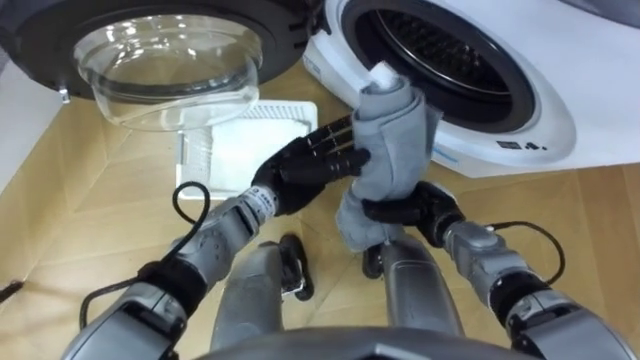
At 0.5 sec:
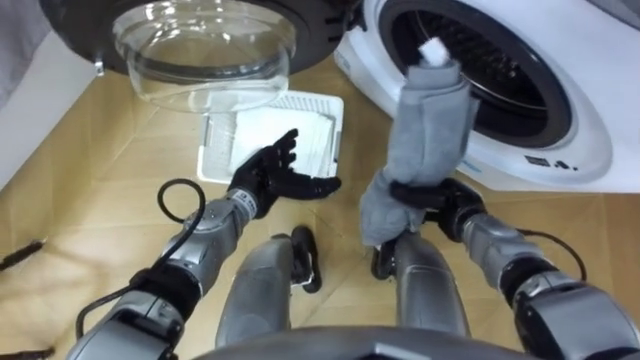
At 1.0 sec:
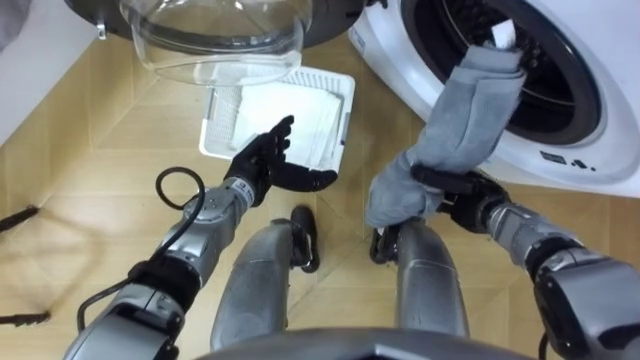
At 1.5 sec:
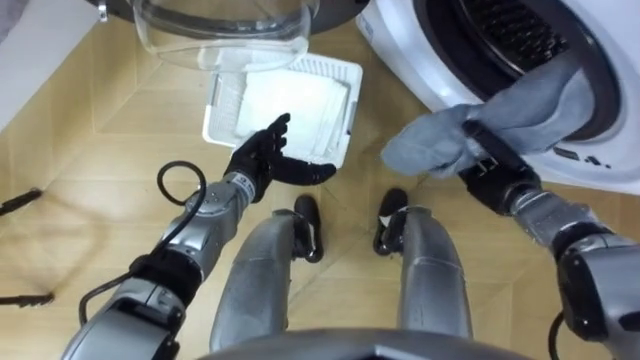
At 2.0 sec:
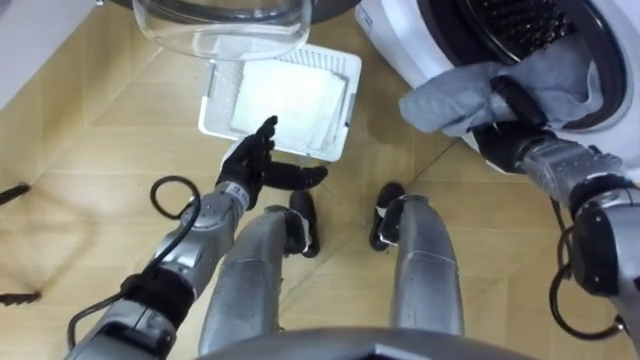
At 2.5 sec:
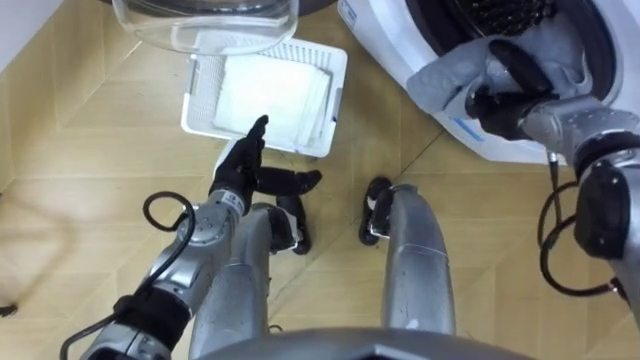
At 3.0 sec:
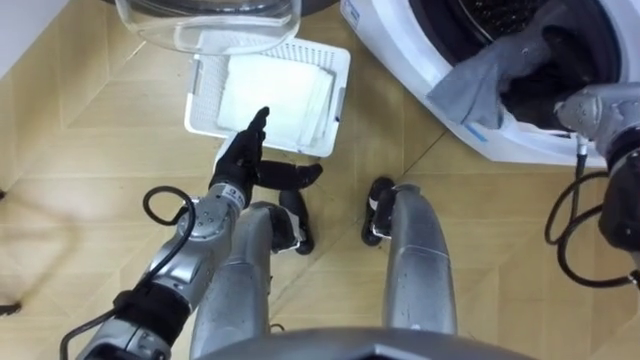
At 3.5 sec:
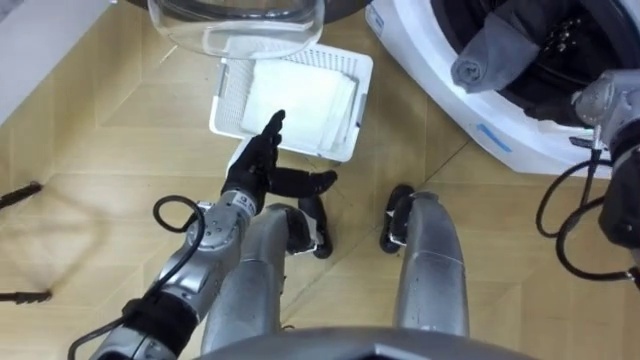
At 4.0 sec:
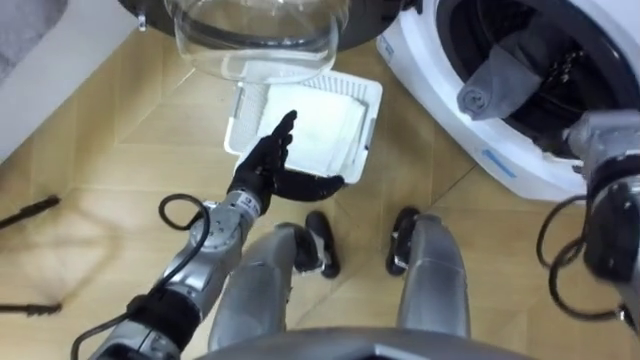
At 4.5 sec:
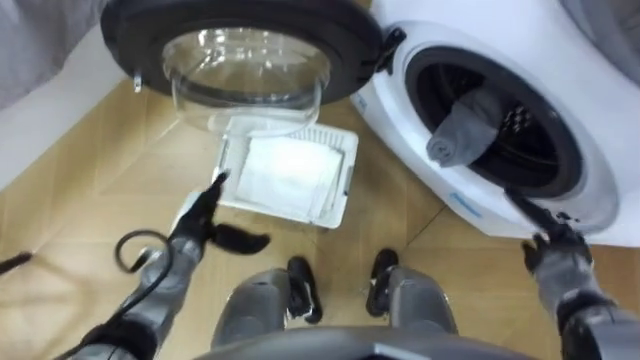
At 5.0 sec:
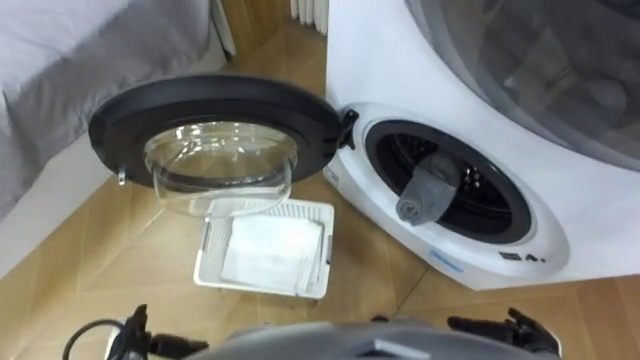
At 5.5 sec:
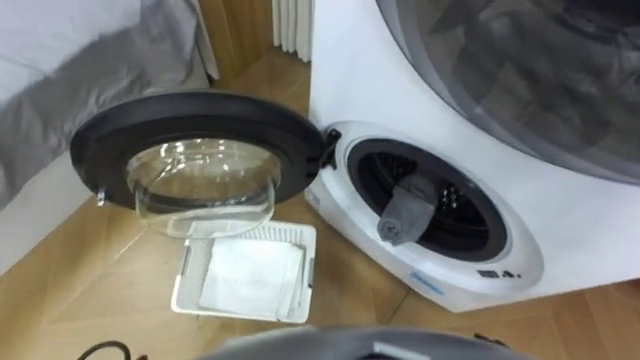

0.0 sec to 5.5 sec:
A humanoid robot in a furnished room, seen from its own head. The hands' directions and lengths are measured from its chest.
Task of the whole recording: Take the towel from the basket and put it into the washing machine.
0.0 sec to 2.0 sec: The left hand is displaced to the left by roughly 5 cm, and opens its fingers. The right hand is displaced to the right, forward and upward by approximately 15 cm.
2.0 sec to 3.5 sec: The right hand goes some 10 cm upward and to the right, and opens its fingers.

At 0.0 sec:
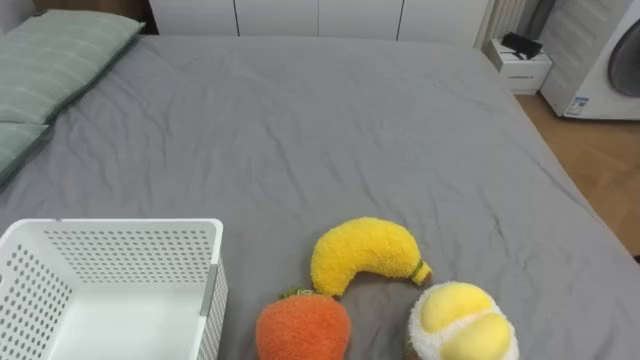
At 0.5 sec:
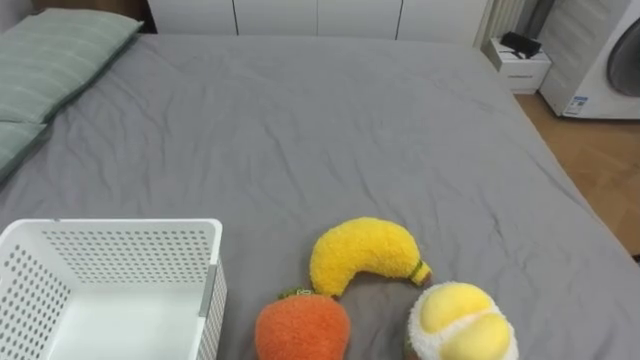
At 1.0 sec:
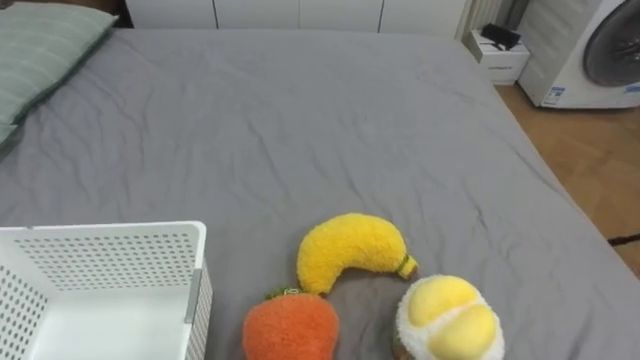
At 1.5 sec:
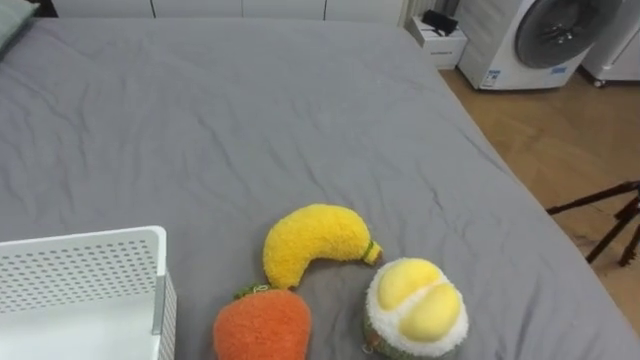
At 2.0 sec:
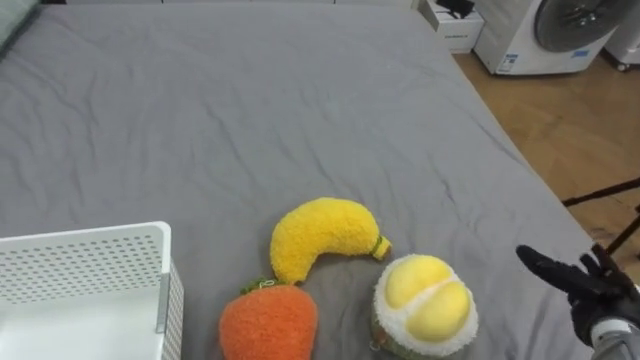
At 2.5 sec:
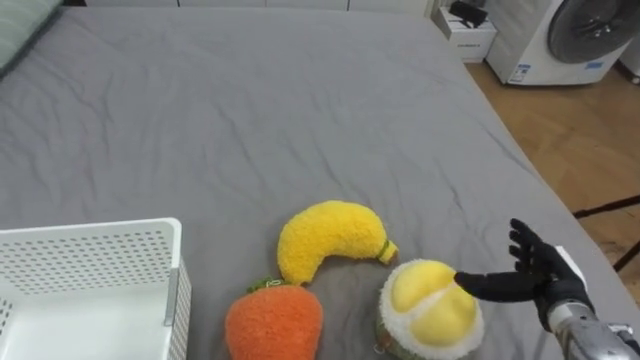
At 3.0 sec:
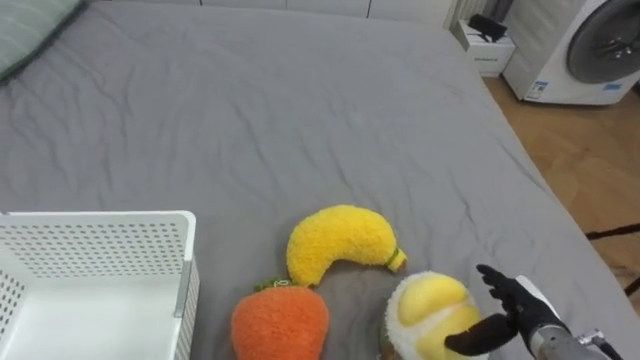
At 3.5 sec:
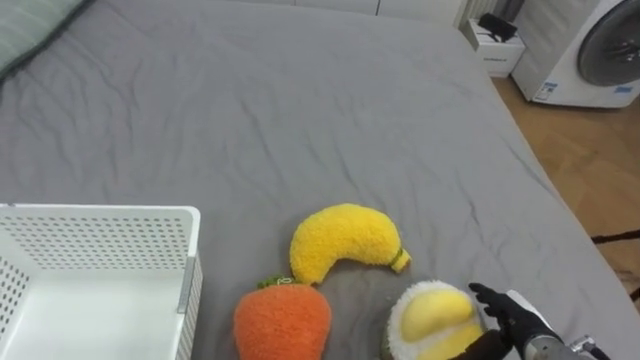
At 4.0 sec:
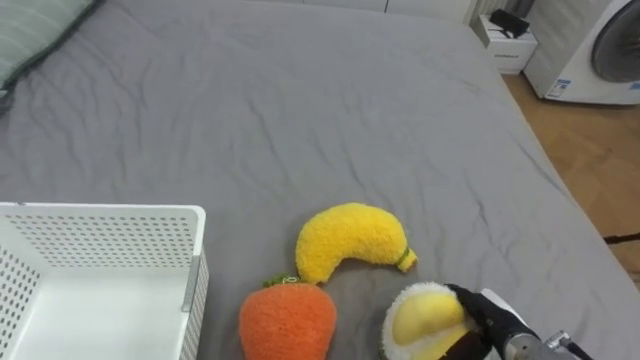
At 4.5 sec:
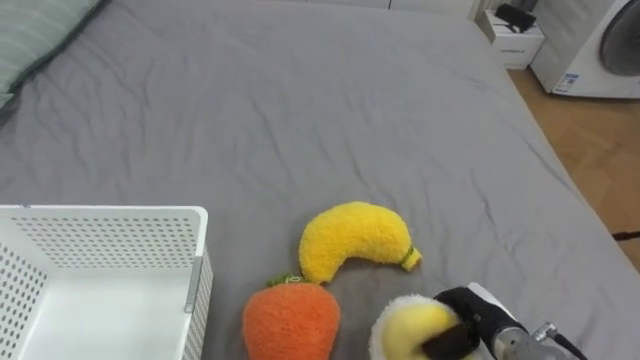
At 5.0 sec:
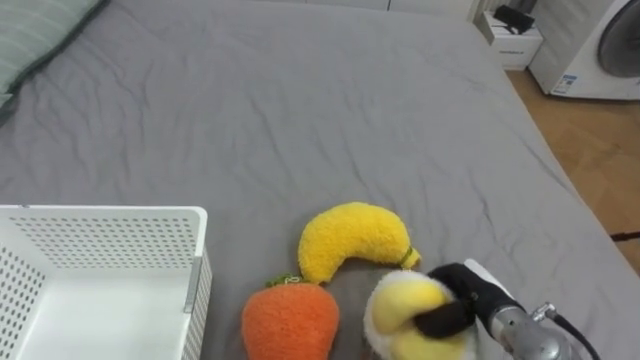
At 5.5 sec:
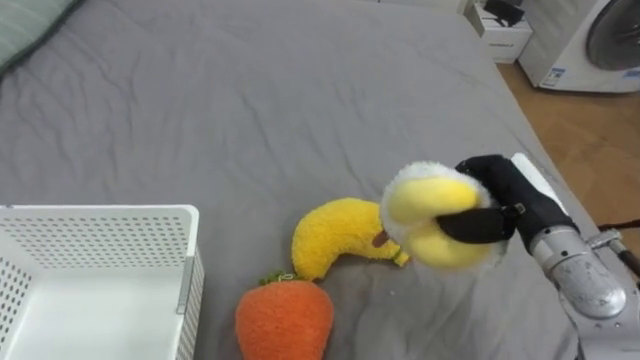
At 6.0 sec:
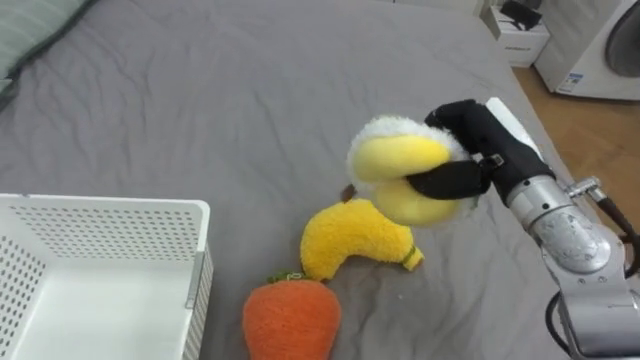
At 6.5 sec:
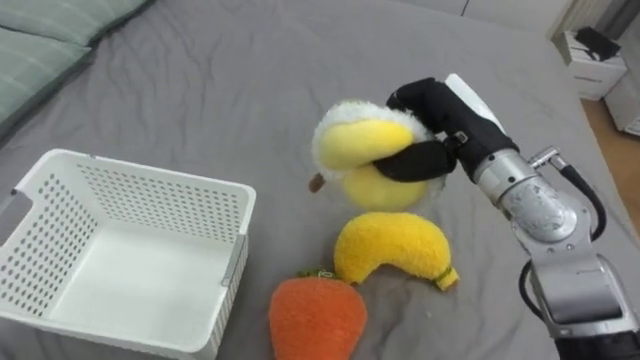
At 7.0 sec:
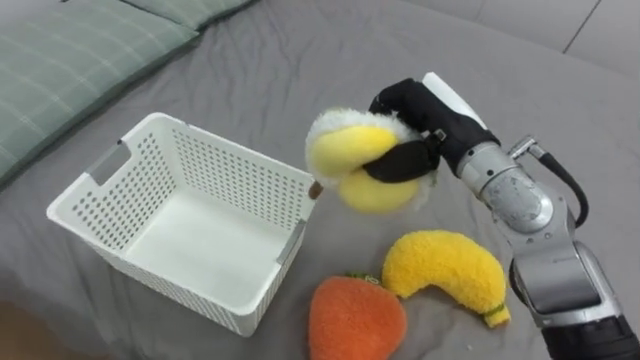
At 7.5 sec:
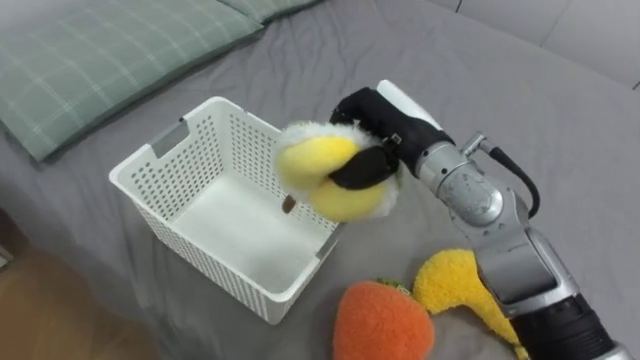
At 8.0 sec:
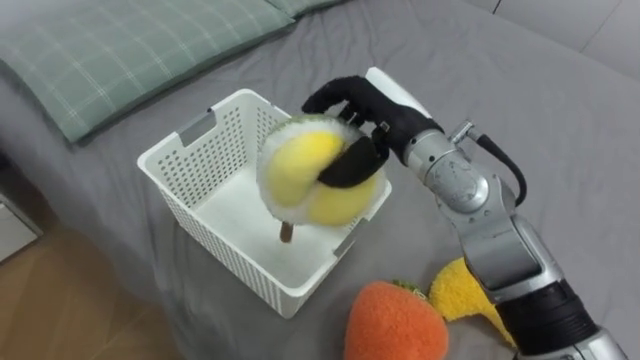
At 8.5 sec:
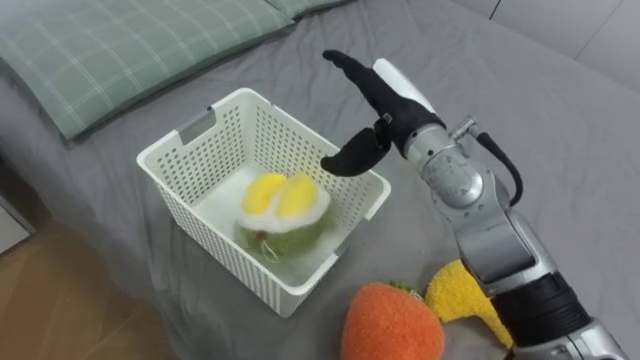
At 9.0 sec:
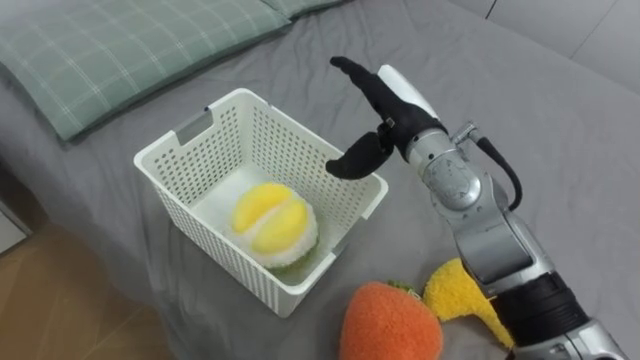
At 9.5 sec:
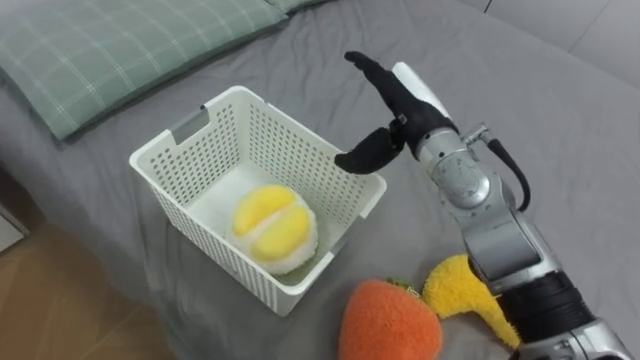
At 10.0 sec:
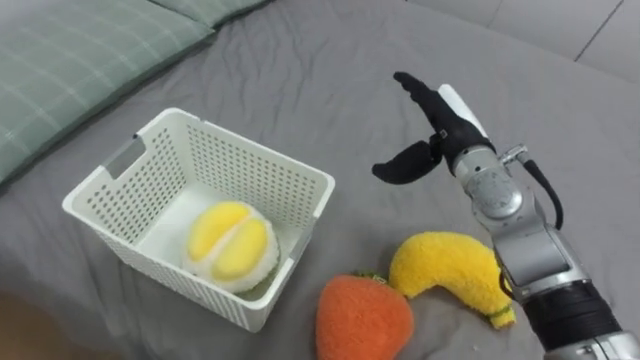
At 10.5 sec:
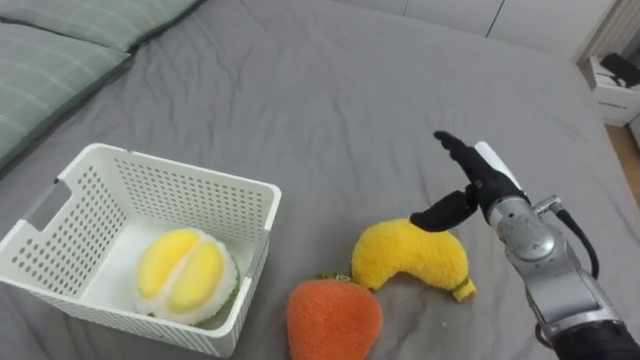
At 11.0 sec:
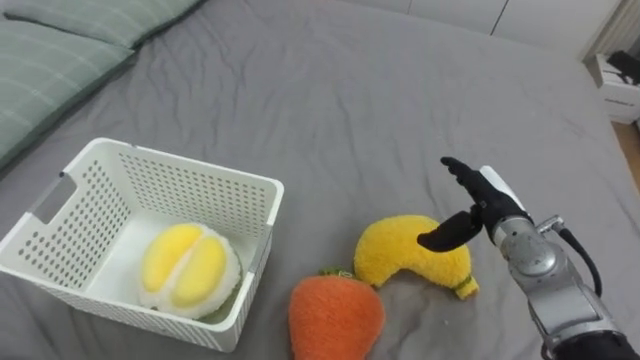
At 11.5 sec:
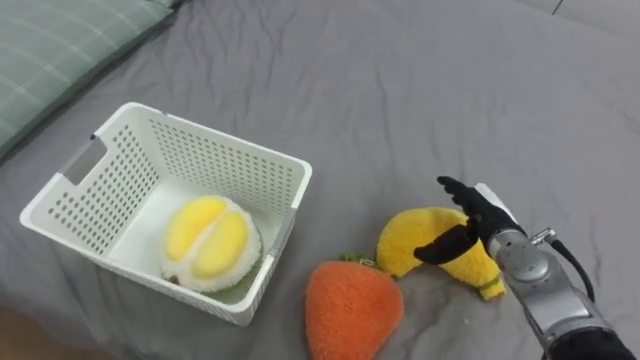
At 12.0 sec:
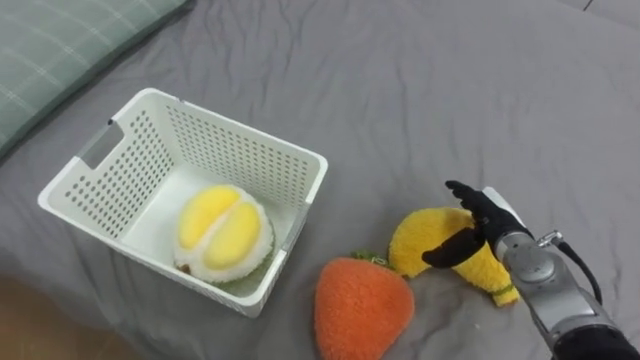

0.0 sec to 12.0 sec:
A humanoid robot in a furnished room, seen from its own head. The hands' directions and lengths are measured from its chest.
Task of the whole recording: Put the toys on the bed into the basket on the left.
2.0 sec to 4.0 sec: The right hand shifts roughly 15 cm to the left and downward.
4.0 sec to 6.0 sec: The right hand is displaced upward and forward by roughly 25 cm, and closes.
6.0 sec to 8.0 sec: The right hand is displaced to the left by roughly 10 cm, and opens its fingers.
8.0 sec to 10.0 sec: The right hand shifts roughly 10 cm to the right, and opens.
10.0 sec to 12.0 sec: The right hand shifts some 15 cm downward, to the right and backward.

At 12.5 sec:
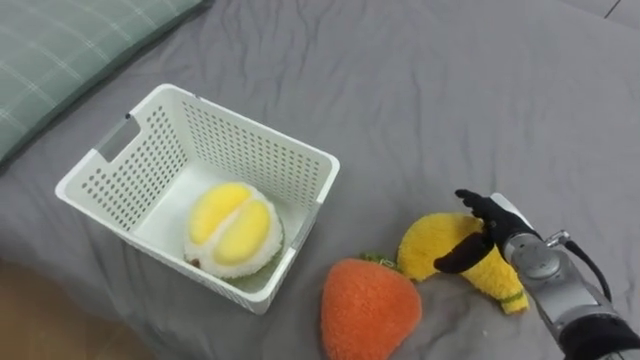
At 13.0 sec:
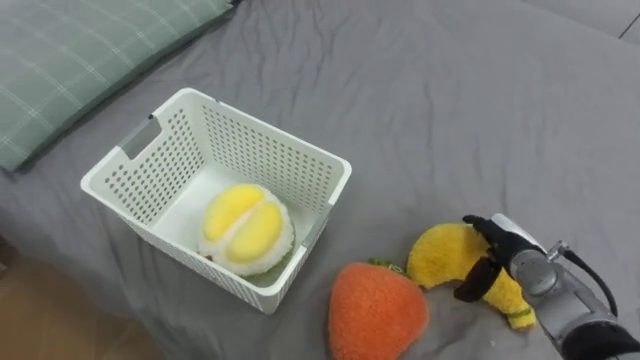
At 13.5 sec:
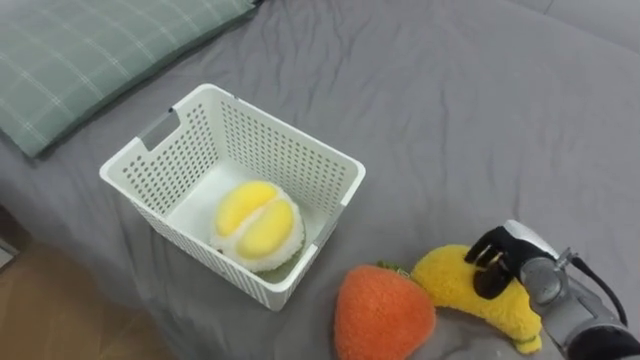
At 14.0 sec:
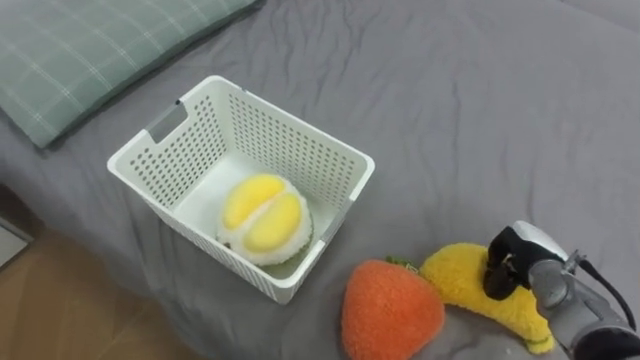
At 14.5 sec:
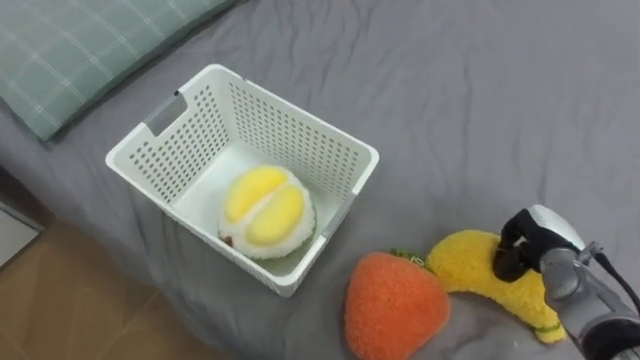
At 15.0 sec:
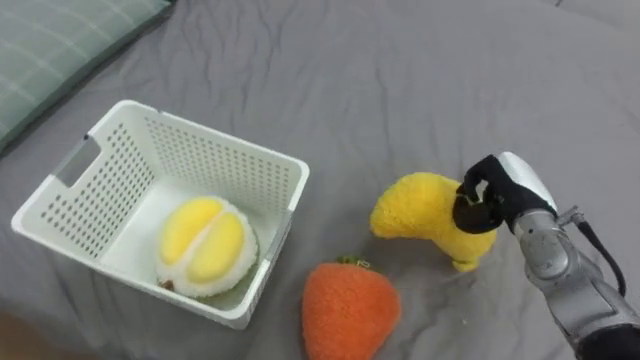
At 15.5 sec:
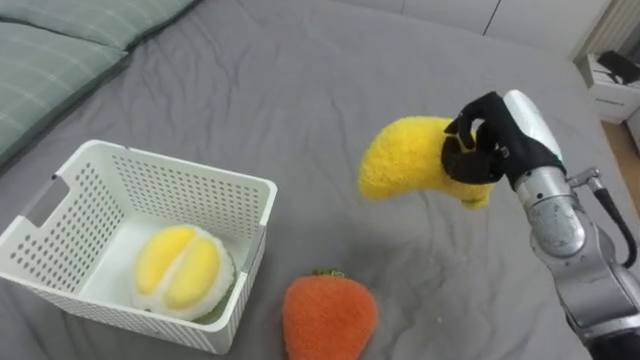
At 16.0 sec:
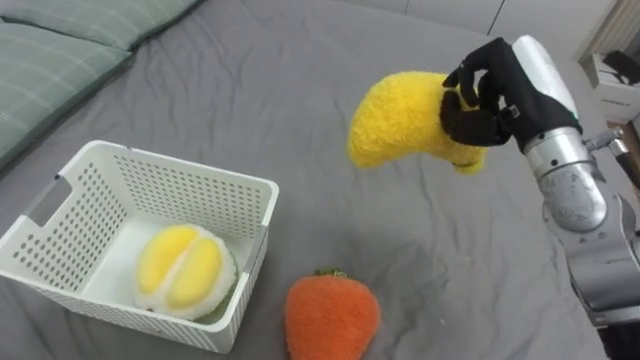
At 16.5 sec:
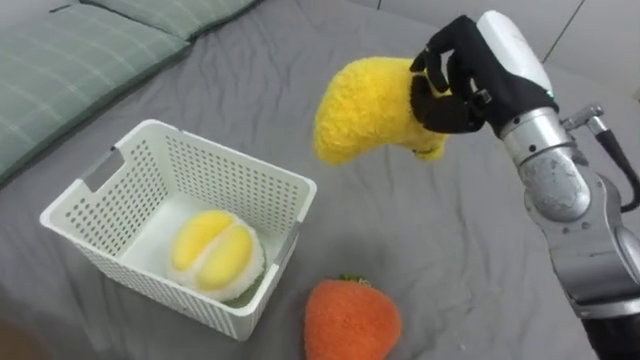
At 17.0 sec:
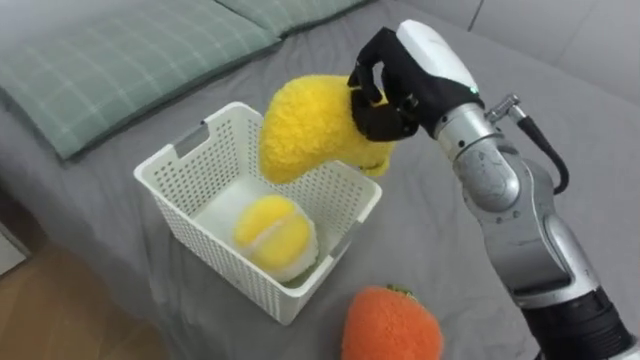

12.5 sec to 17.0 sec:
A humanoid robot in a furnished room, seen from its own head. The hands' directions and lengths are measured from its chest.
Task of the whole recording: Put the toys on the bed into the basket on the left.
12.5 sec to 14.5 sec: The right hand heads to the right, covering roughly 5 cm, and closes its fingers.
14.5 sec to 17.0 sec: The right hand goes some 35 cm upward and to the left.
